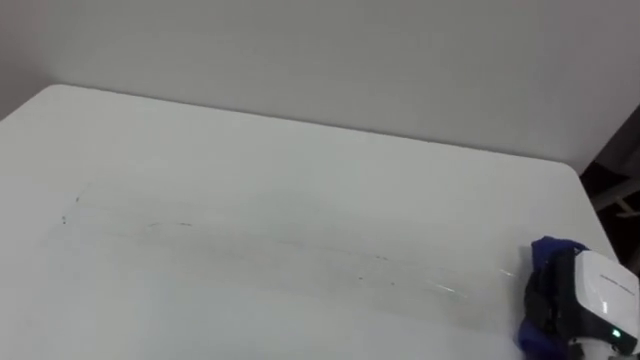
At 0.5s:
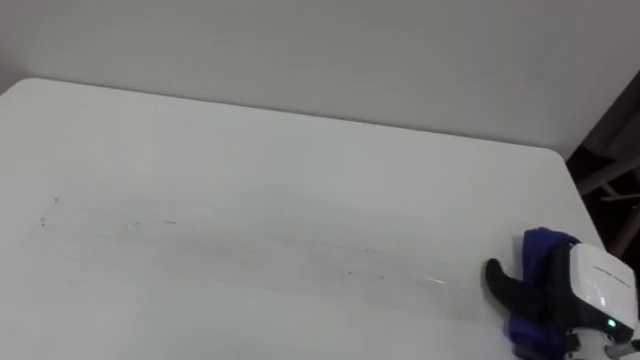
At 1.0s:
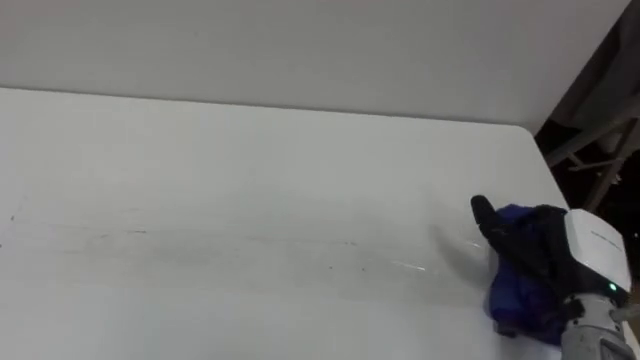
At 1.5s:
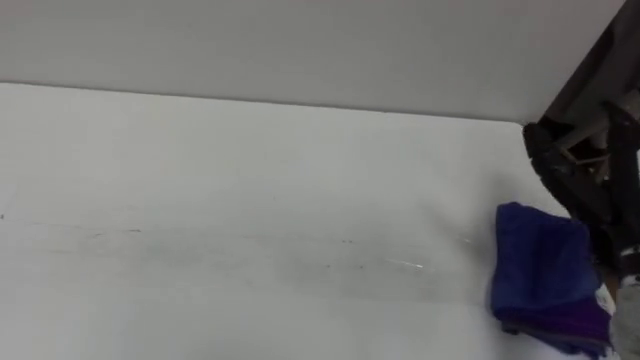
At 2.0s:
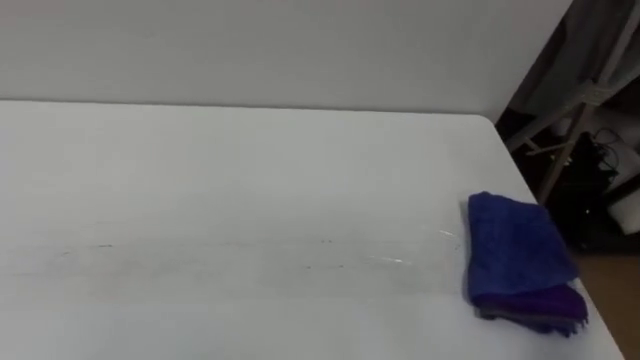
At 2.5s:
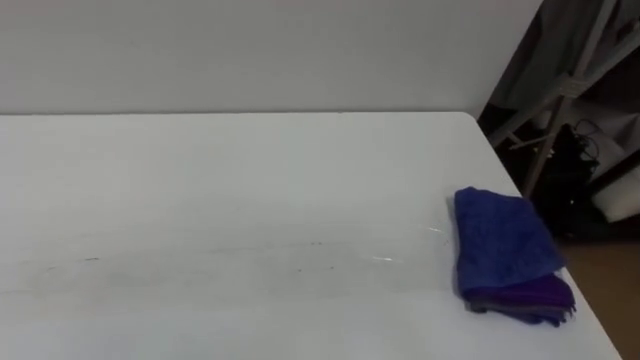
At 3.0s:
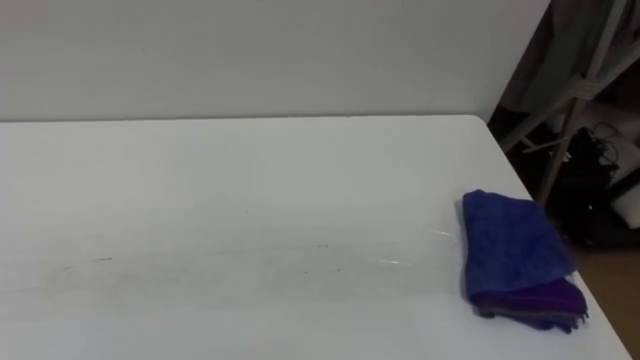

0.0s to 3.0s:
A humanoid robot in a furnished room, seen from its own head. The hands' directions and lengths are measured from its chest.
Task of the whole recording: Wipe the blue pen marks off the table with the rag.
0.0s to 1.5s: The right hand moves upward and forward, approximately 15 cm, and opens.

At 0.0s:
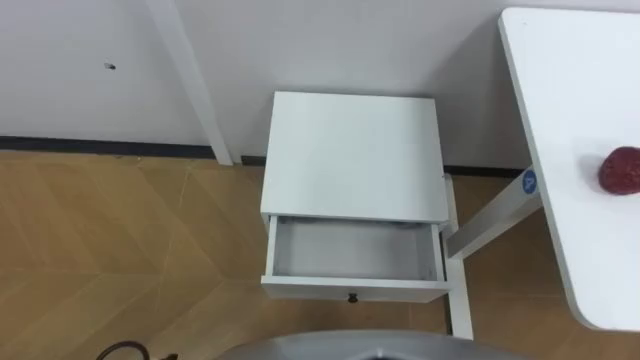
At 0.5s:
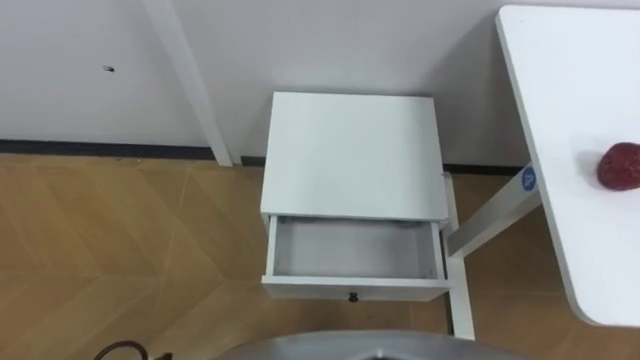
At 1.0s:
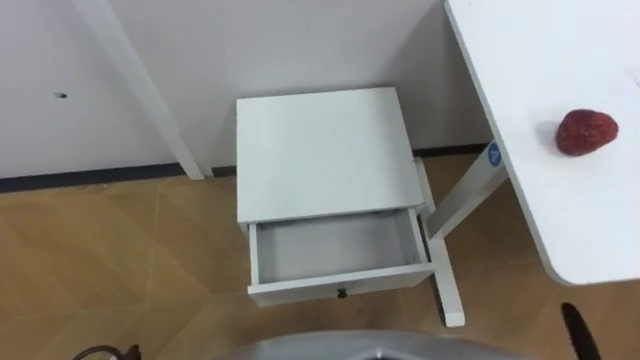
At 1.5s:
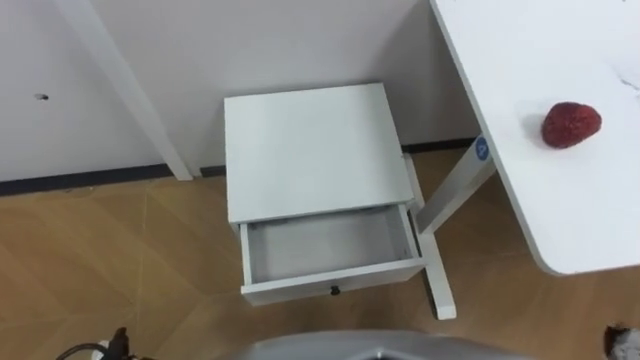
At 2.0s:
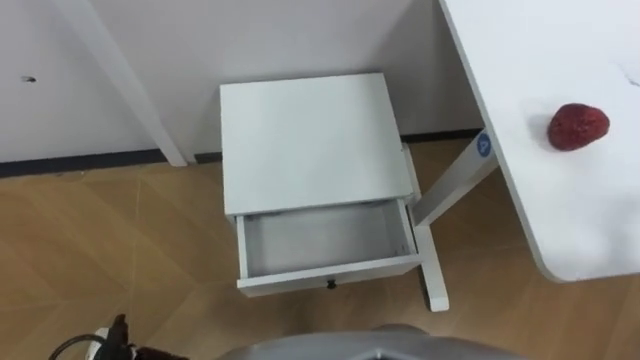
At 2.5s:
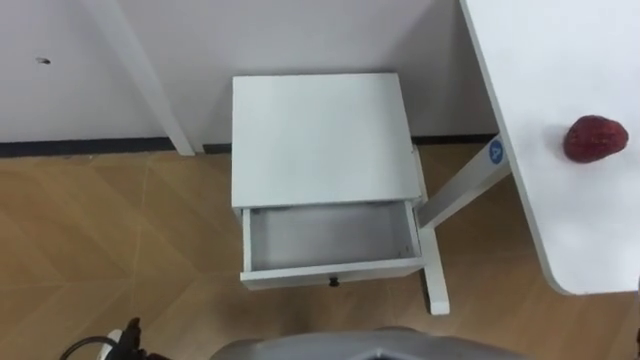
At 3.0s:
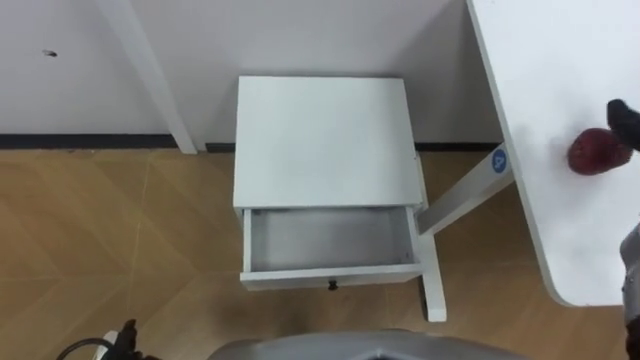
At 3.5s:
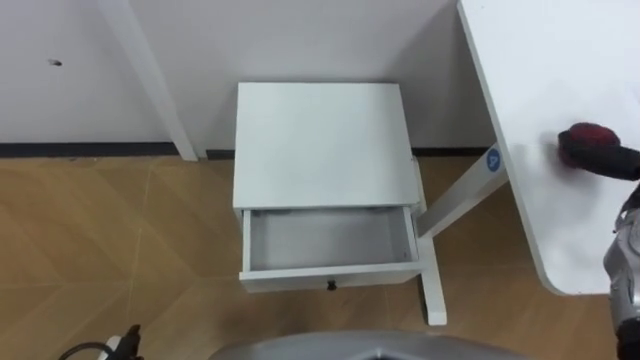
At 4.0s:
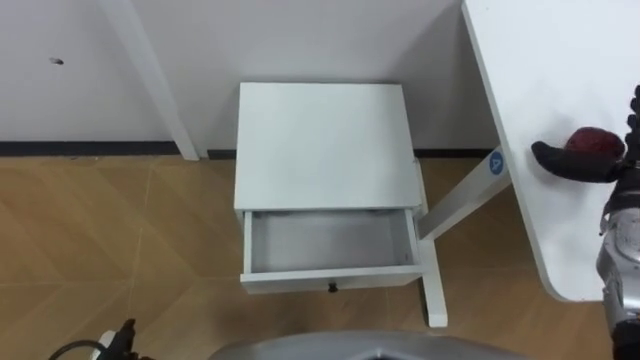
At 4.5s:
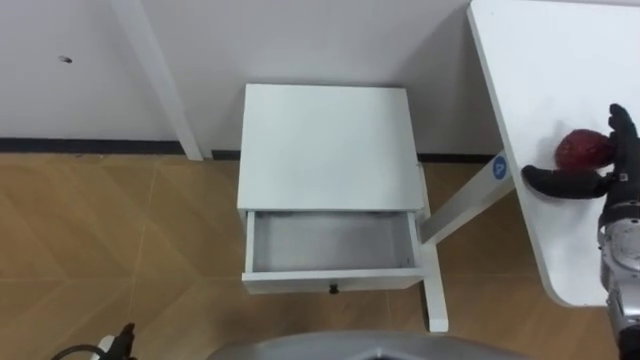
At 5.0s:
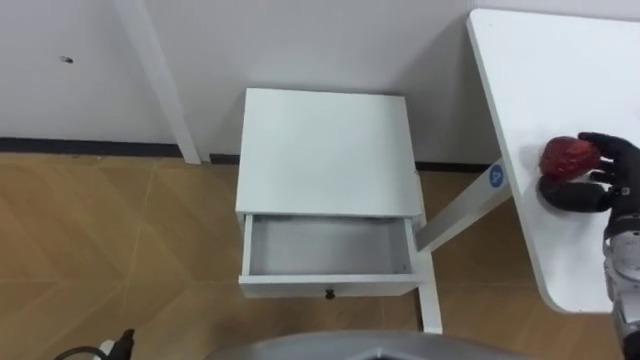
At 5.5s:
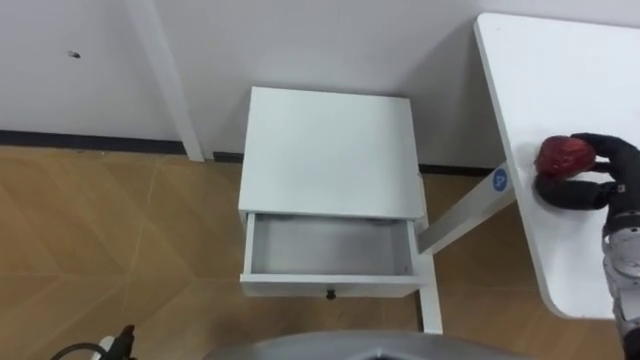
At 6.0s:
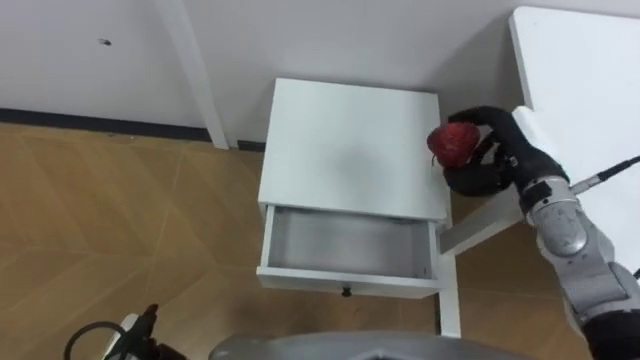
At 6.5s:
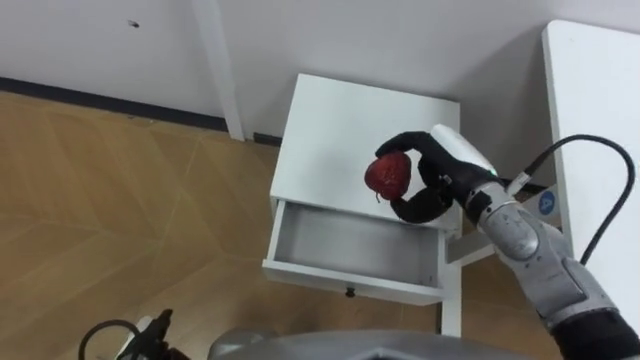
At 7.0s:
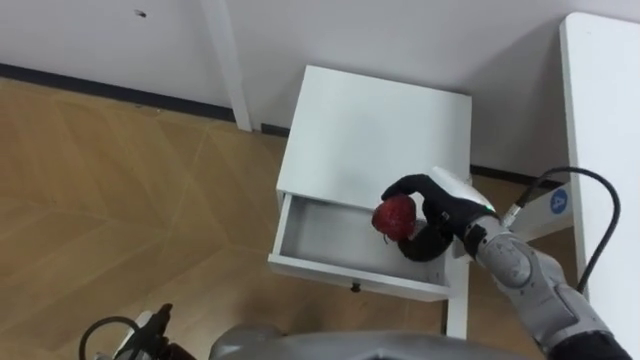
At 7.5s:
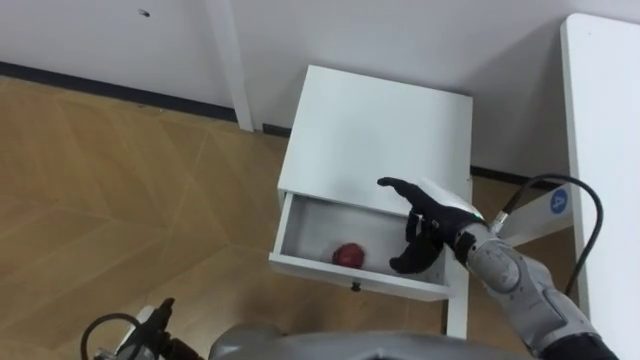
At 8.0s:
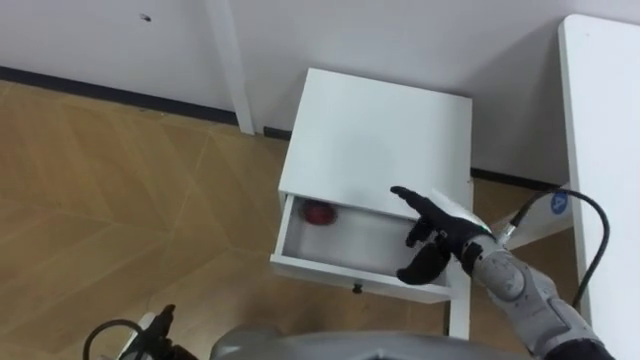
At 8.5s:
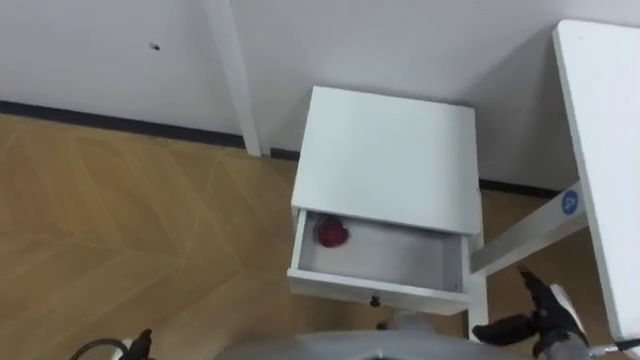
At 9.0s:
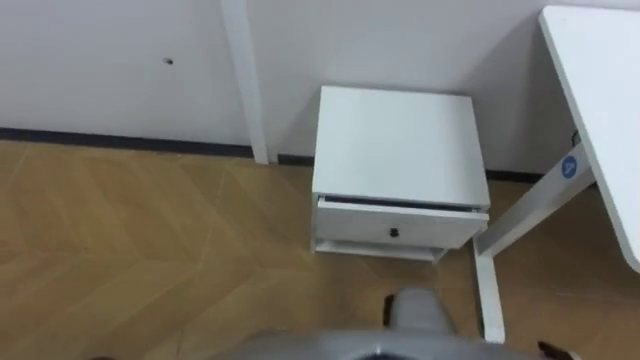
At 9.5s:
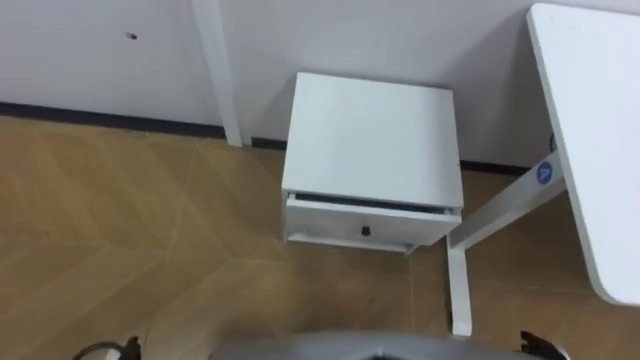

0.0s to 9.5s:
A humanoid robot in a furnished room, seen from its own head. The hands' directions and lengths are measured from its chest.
Task of the whole recording: Pick up the apple from the table, put it in the drawer, and close the drawer with leg.
4.0s to 5.5s: The right hand closes.
5.5s to 7.5s: The left hand ends up about 5 cm from where it was; the right hand travels to the left by some 20 cm.

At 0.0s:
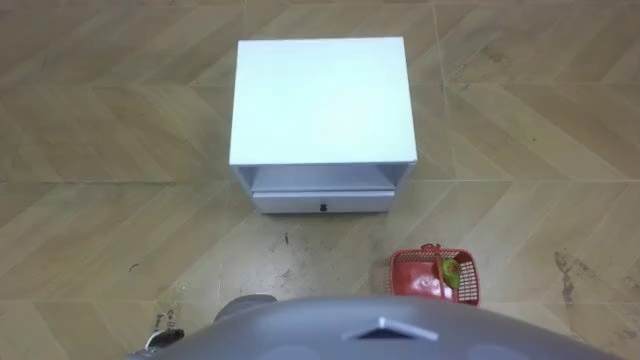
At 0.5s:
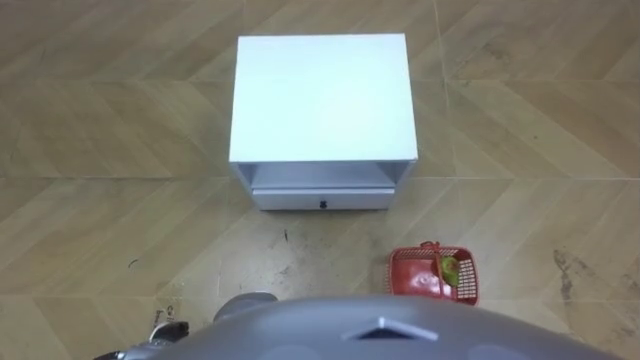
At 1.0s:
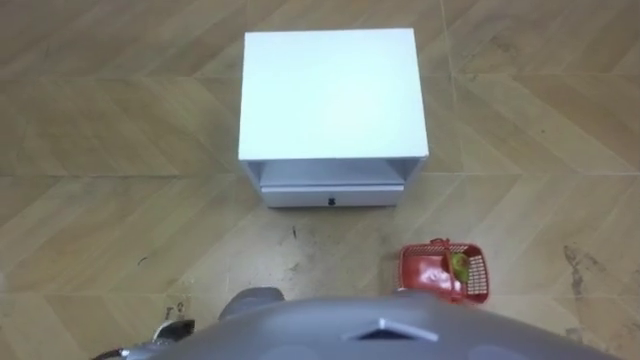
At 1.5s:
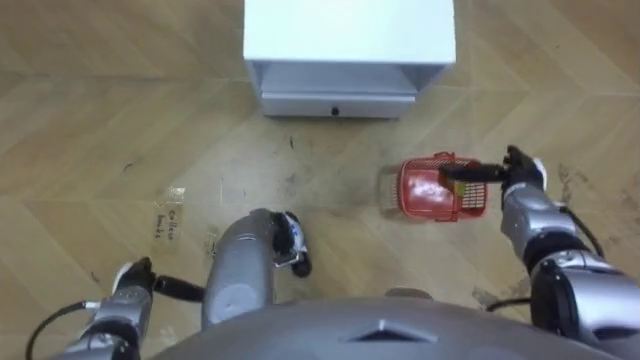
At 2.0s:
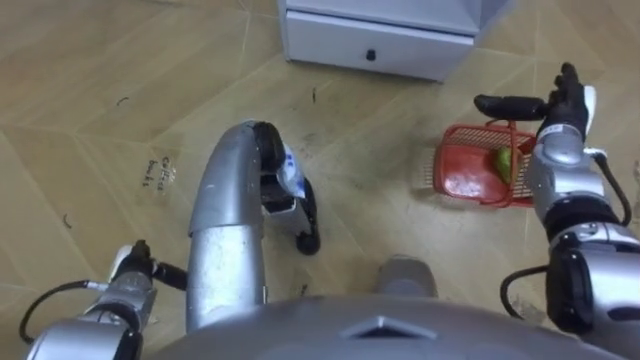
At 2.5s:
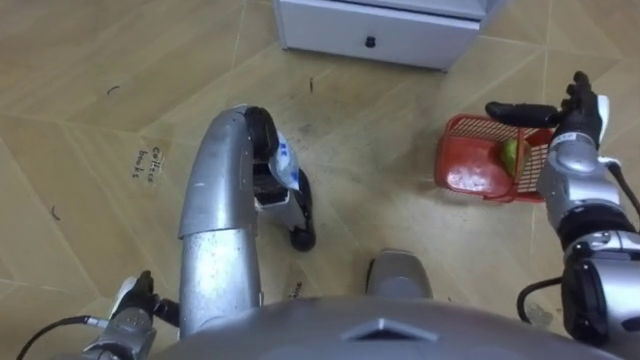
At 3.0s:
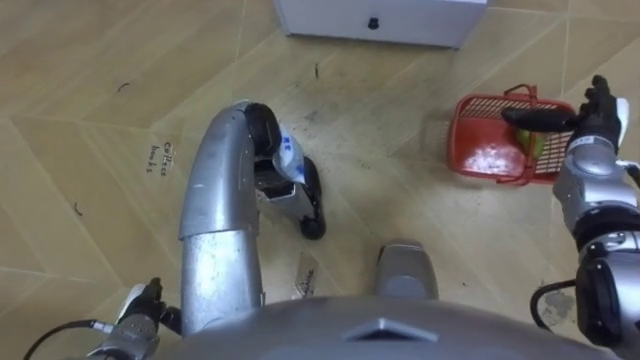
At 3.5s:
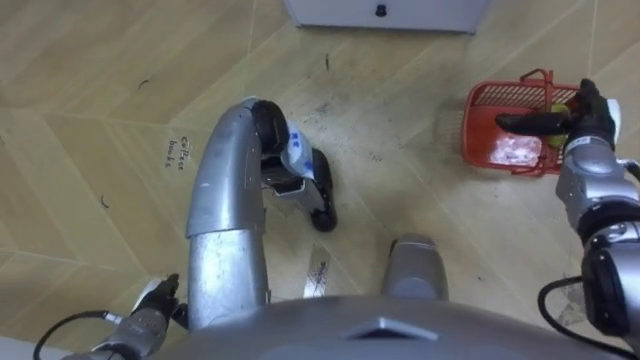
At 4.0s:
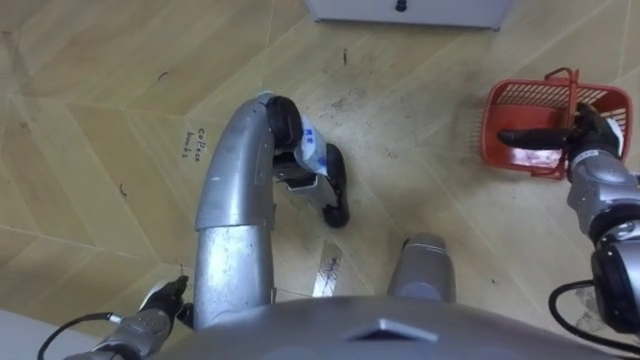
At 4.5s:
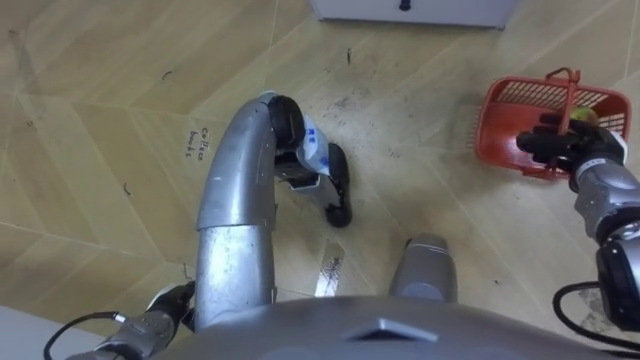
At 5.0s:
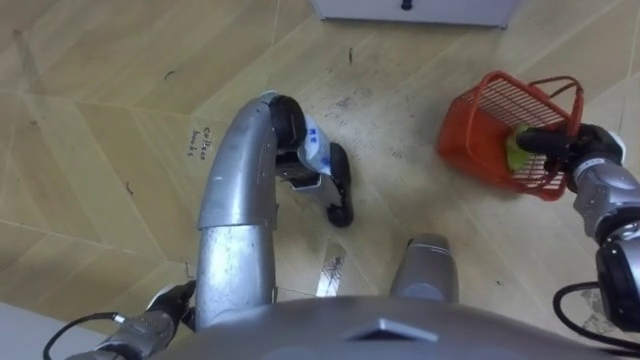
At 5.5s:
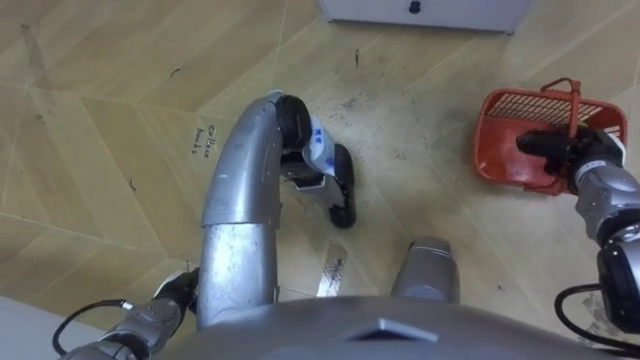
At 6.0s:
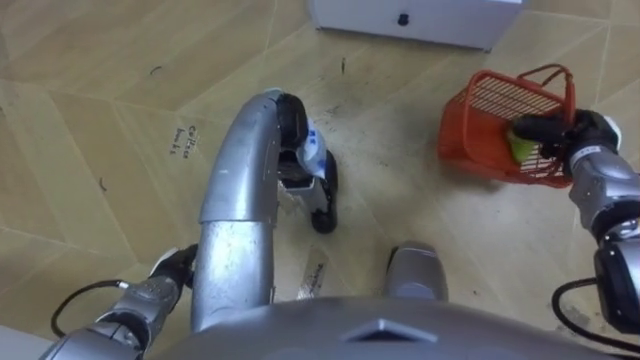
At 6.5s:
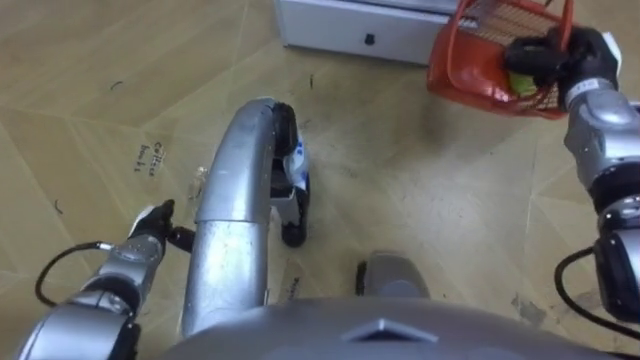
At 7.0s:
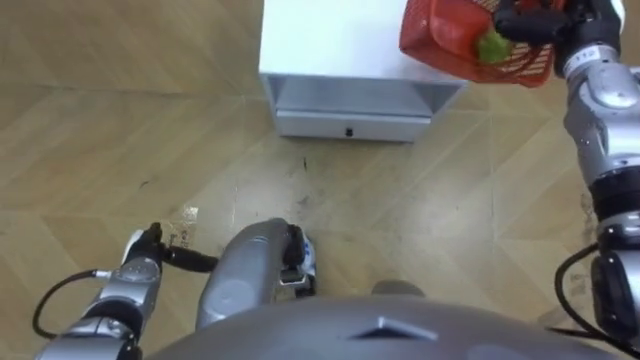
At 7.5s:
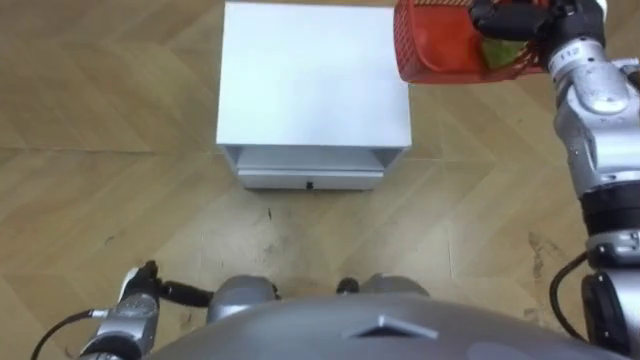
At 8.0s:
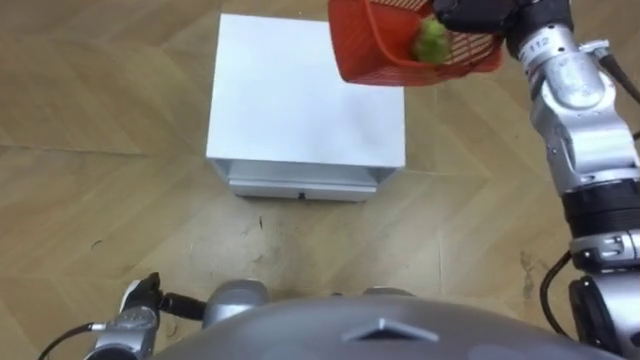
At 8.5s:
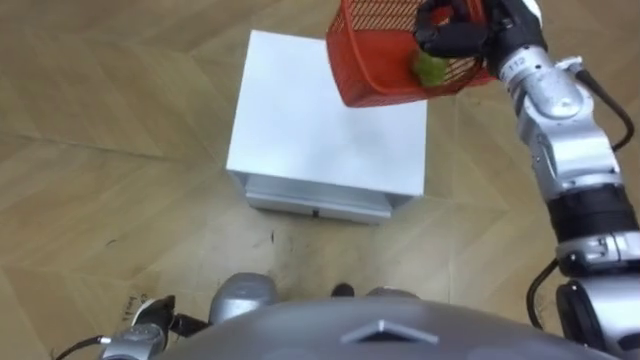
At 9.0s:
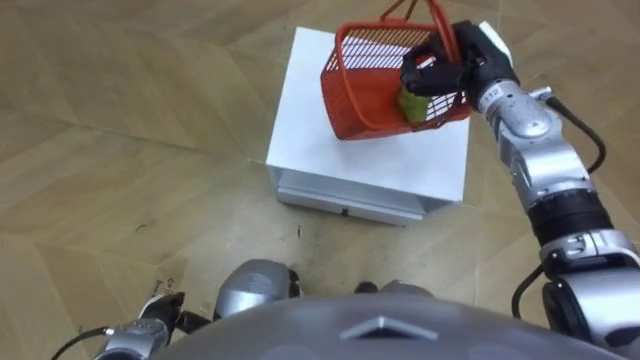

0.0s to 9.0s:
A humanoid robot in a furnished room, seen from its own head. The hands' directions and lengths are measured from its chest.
Task of the whole recording: Pick up the fruit basket from the floor and place it on the cabinet.
2.0s to 4.5s: The left hand is displaced backward and to the right by roughly 10 cm; the right hand ends up approximately 5 cm from where it was, and closes.
4.5s to 7.0s: The right hand is displaced upward, forward and to the left by some 20 cm, and closes up, while the left hand heads forward, covering roughly 10 cm.
7.0s to 9.0s: The left hand travels backward by approximately 10 cm.
